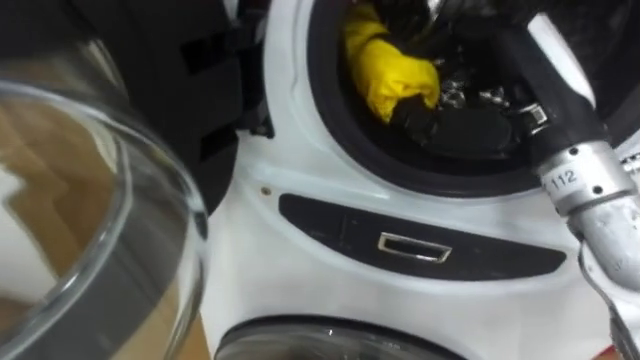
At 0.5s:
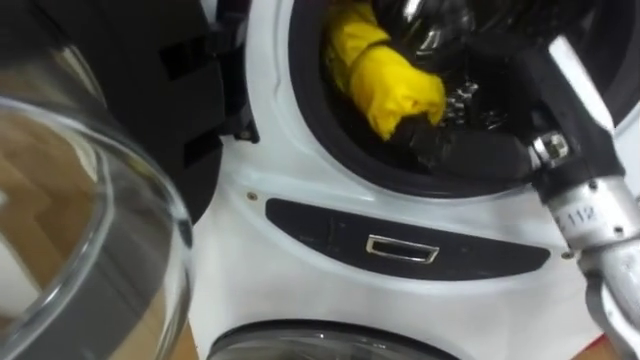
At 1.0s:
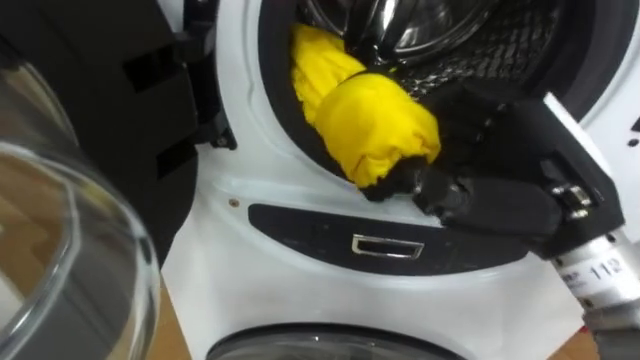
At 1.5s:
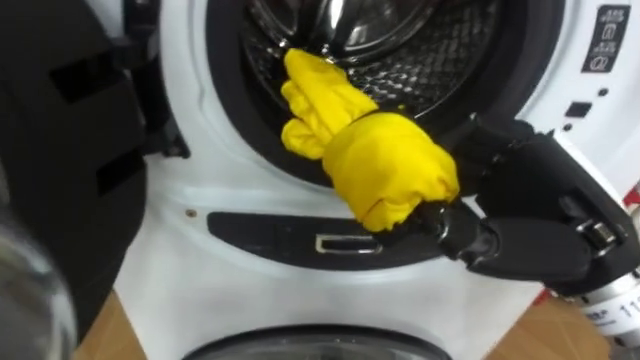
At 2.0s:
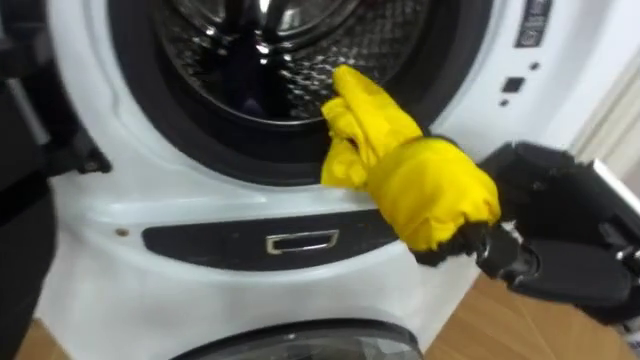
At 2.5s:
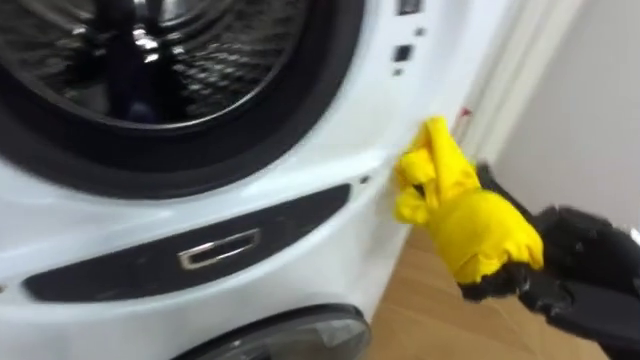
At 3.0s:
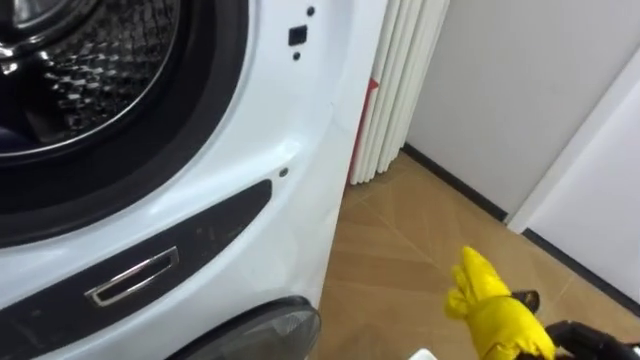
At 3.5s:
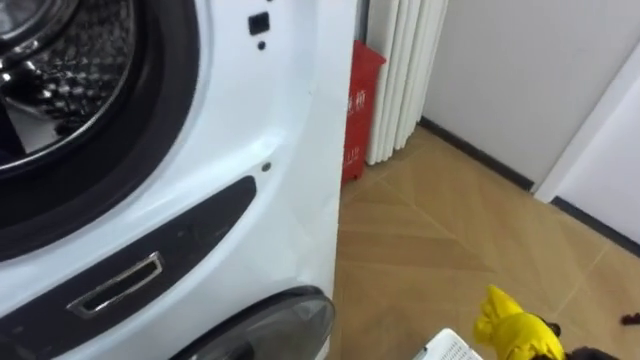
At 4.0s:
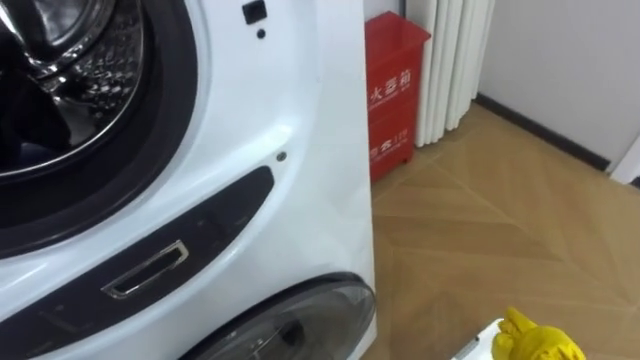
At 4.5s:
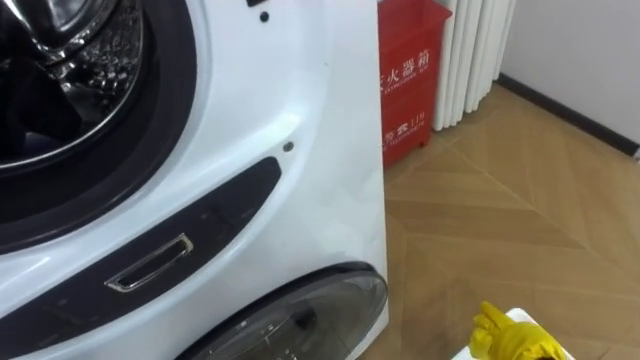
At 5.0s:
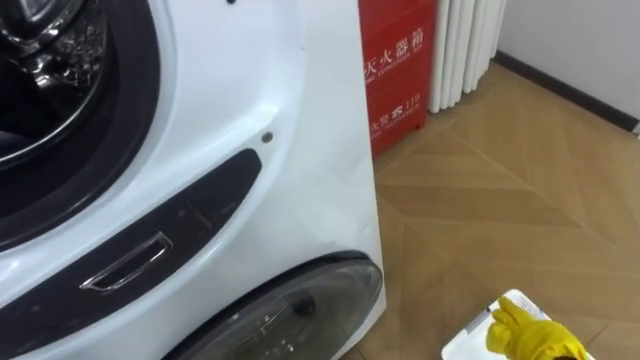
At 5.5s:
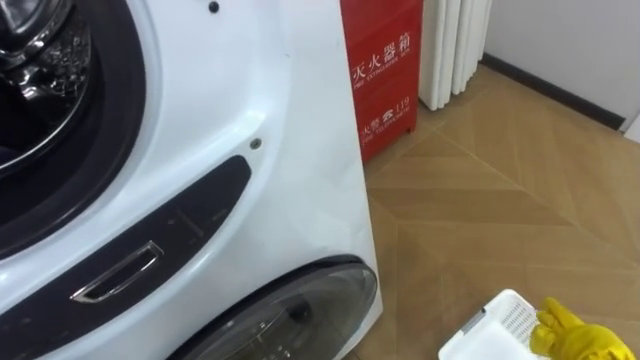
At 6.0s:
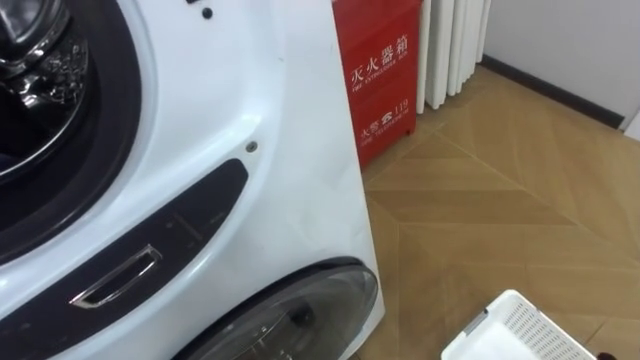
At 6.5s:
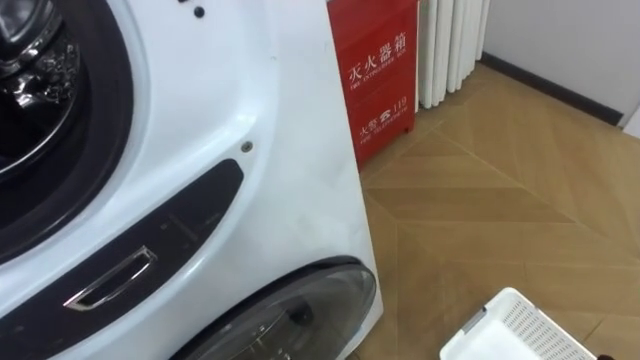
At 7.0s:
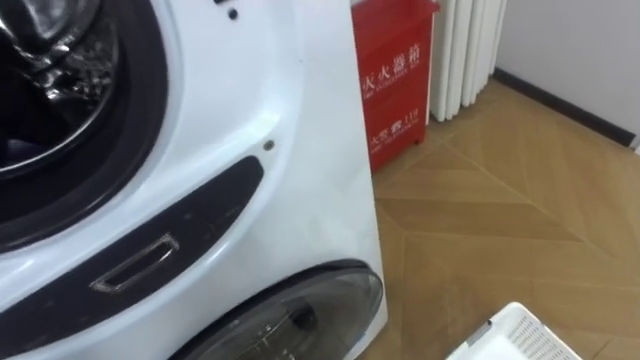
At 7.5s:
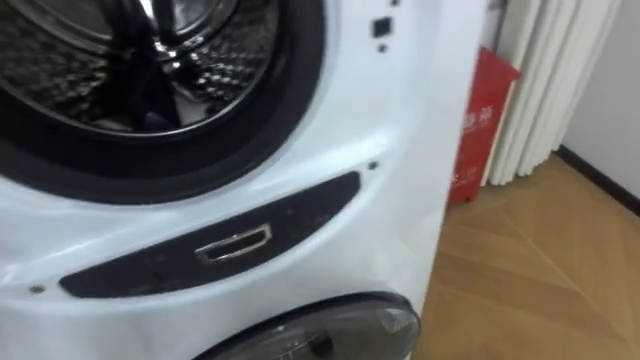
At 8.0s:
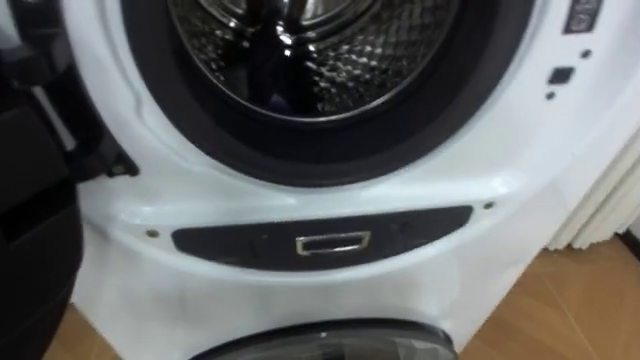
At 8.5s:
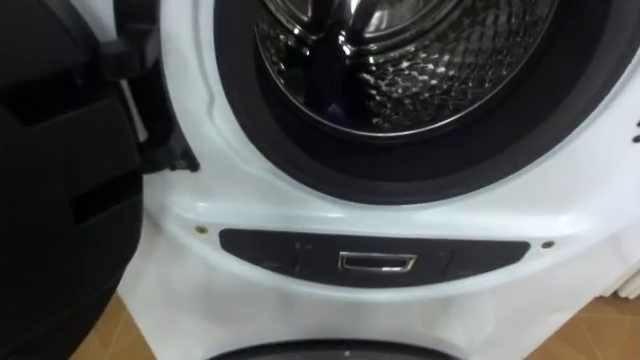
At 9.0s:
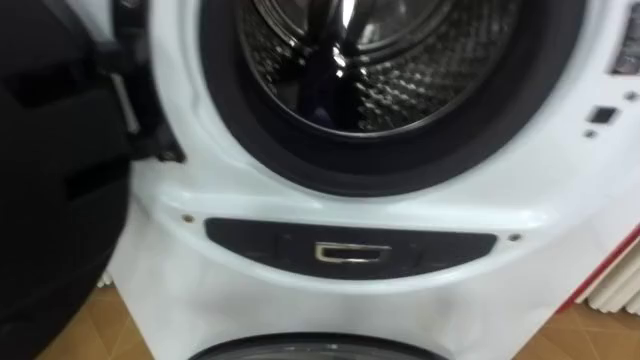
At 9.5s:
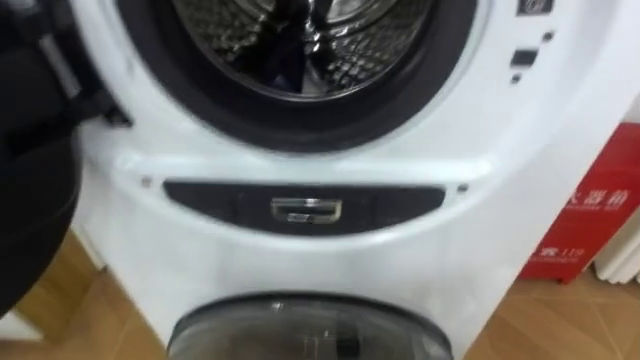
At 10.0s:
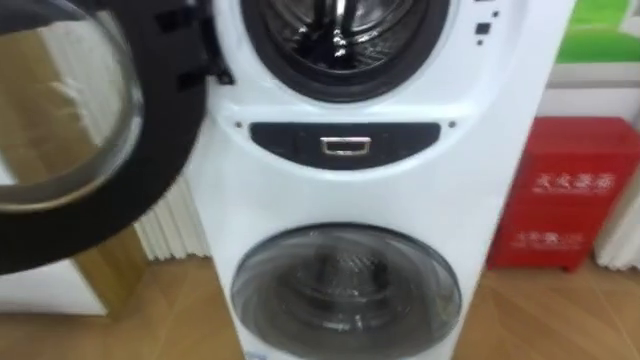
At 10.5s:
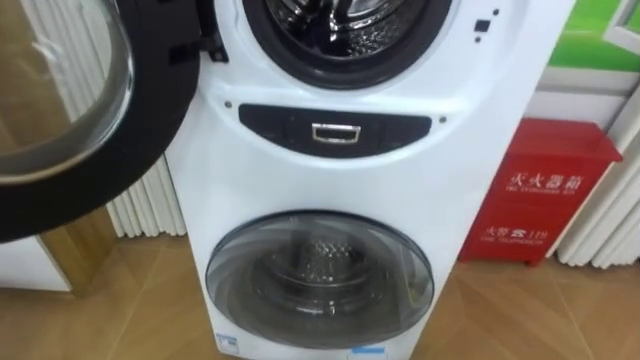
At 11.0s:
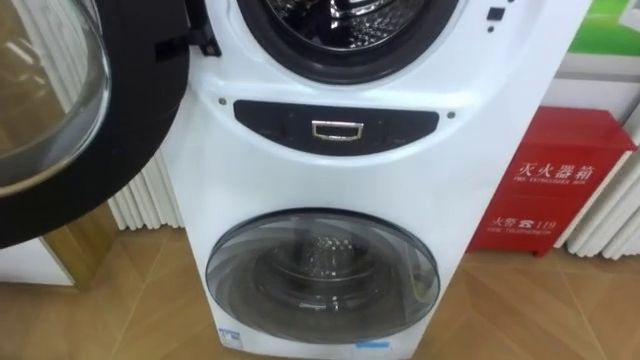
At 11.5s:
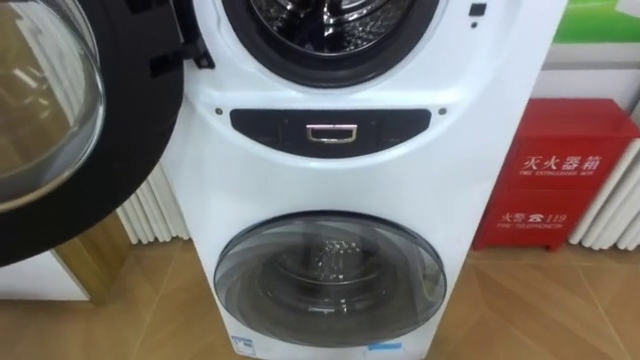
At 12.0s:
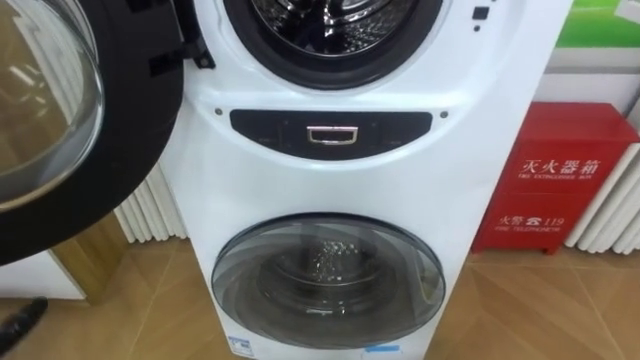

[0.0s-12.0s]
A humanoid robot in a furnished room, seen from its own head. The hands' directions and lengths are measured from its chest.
Task of the whole recording: Open the washing machine door, take out the yellow clothes, place them in the box on the right, and close the washing machine door.
0.0s to 2.0s: The right hand travels downward and backward by approximately 10 cm.

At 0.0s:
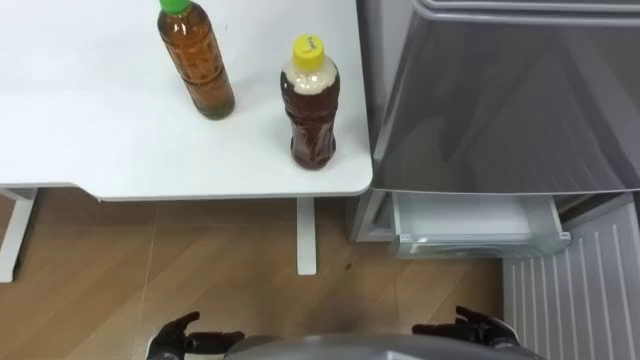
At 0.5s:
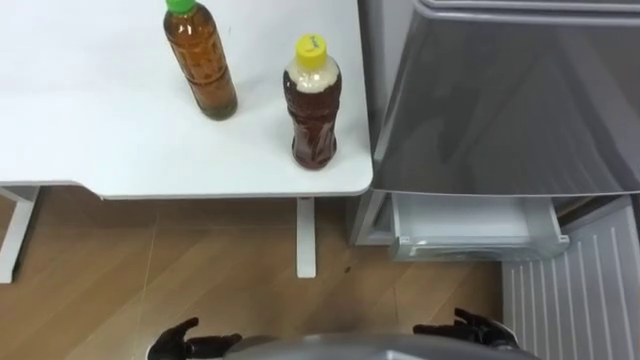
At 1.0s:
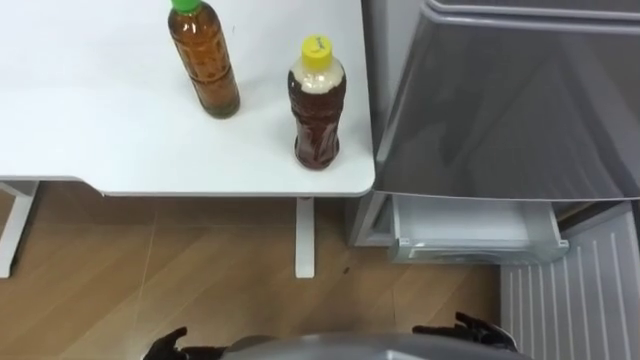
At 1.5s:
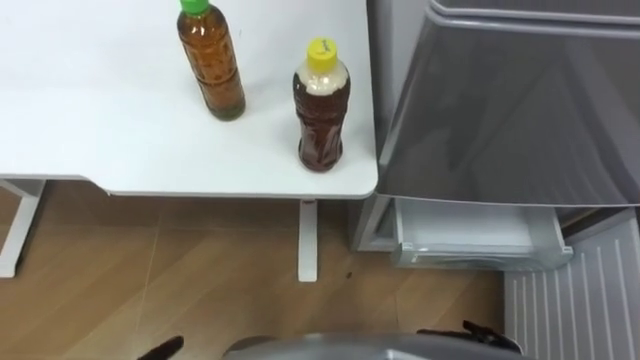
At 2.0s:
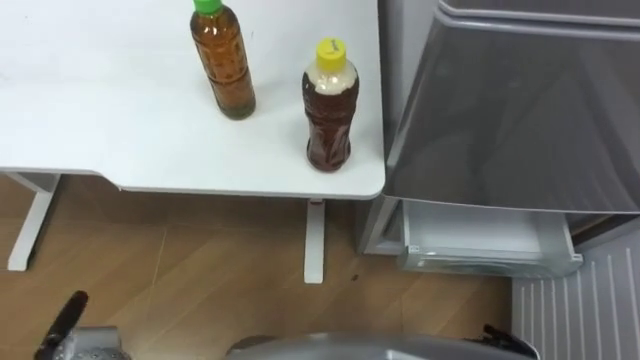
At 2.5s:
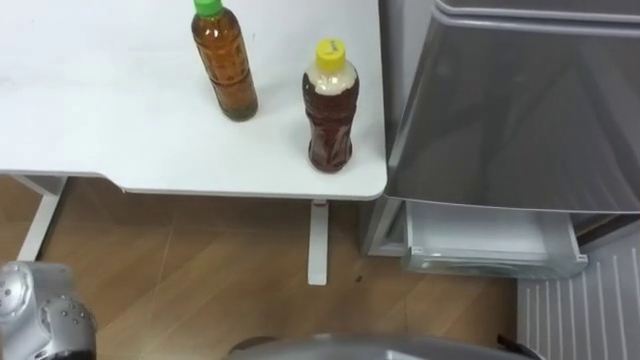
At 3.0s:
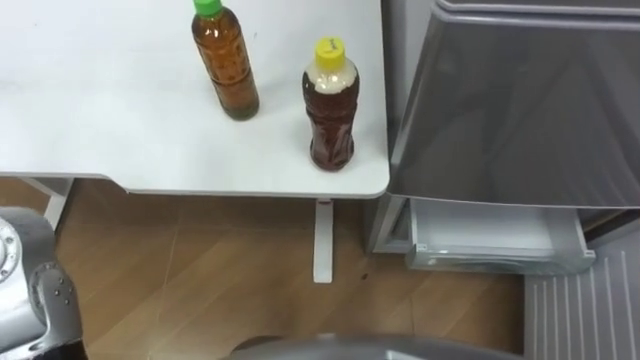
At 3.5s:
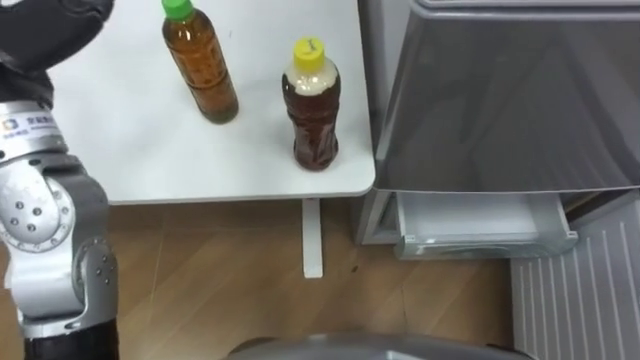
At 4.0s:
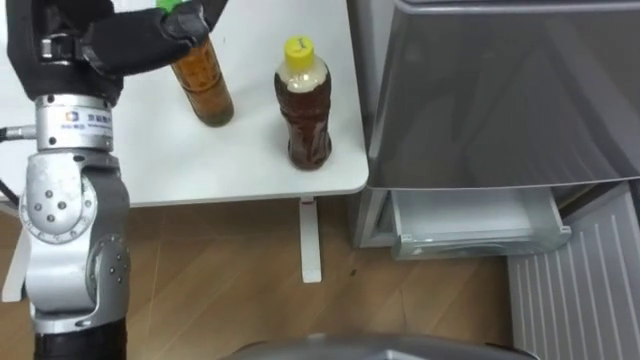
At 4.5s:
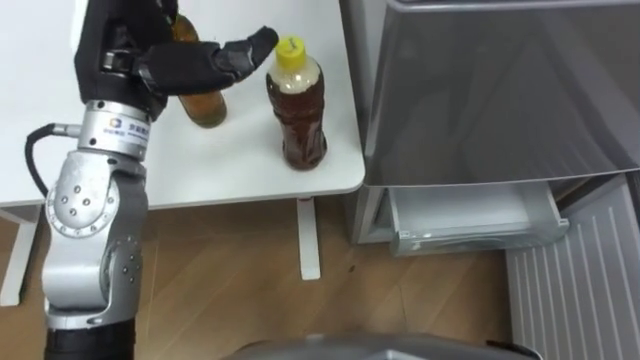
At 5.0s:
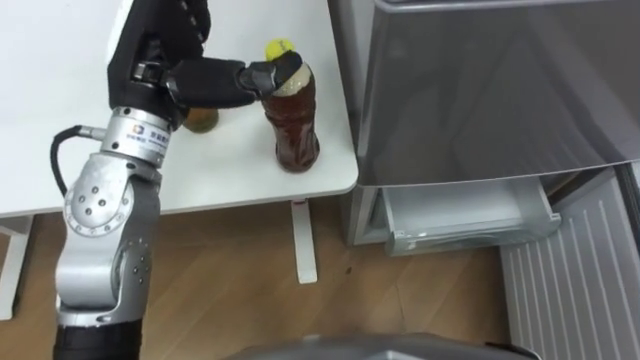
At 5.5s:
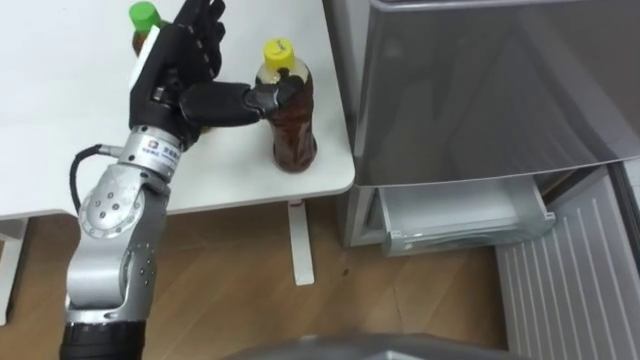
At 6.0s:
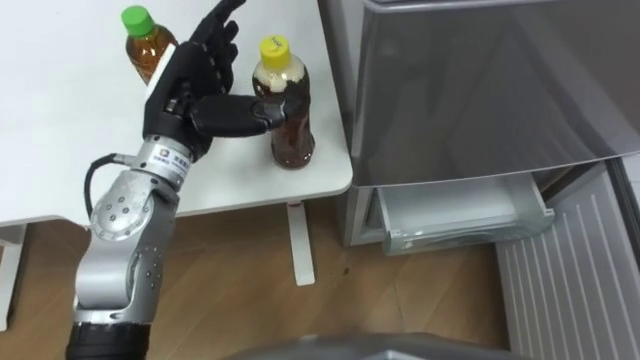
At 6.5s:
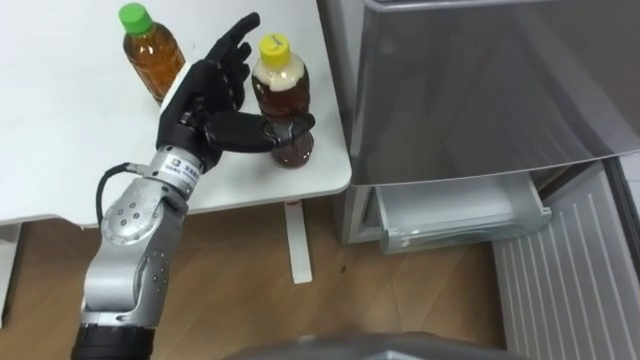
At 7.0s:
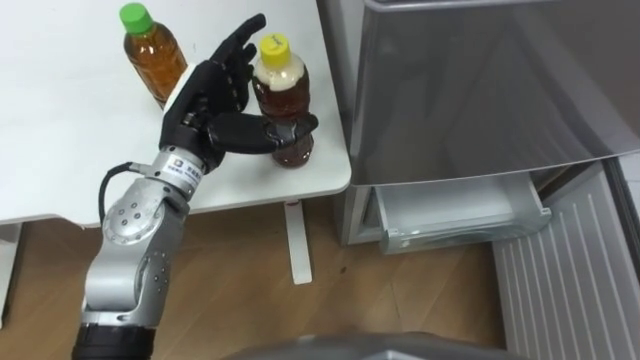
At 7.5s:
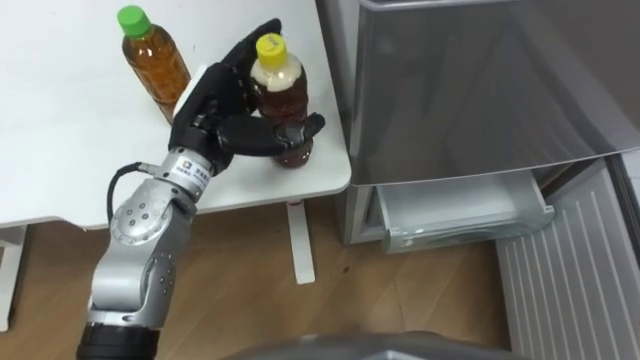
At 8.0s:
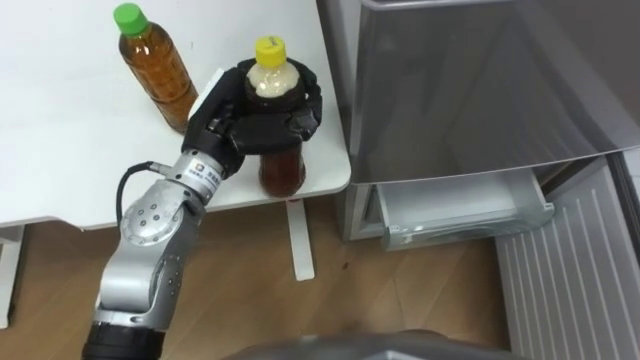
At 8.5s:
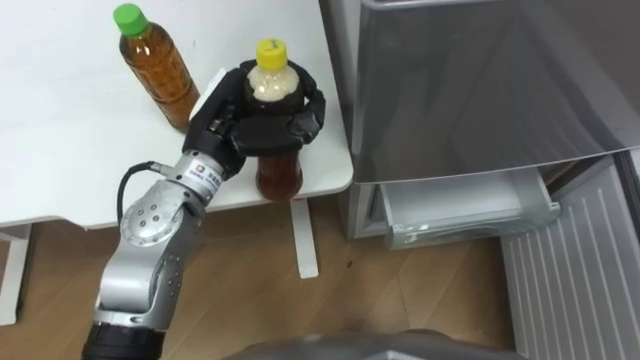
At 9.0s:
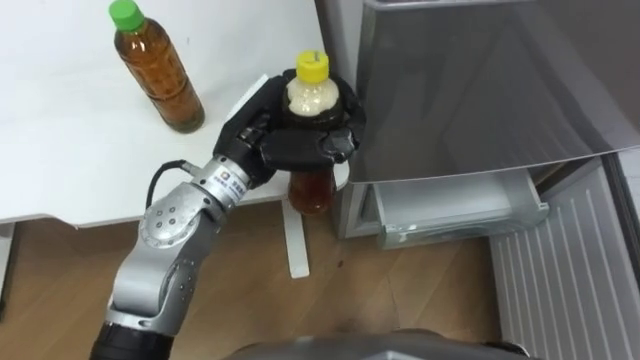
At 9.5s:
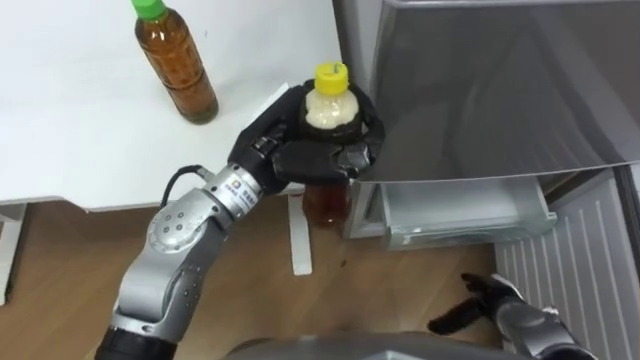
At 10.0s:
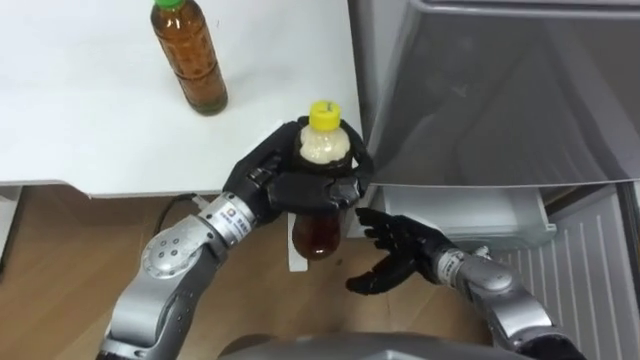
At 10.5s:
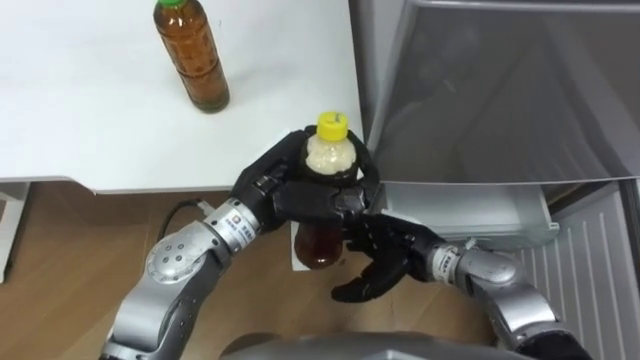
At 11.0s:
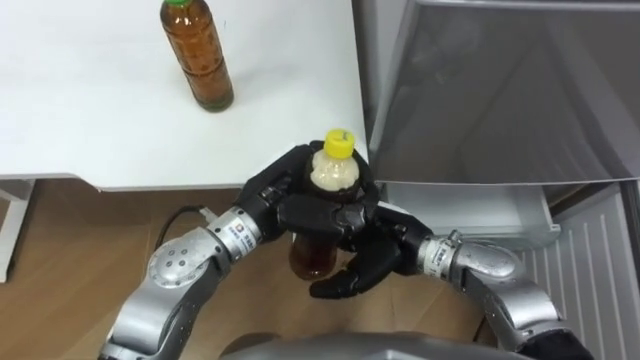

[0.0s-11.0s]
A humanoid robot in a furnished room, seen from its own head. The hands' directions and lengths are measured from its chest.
Task of the whole recording: Place the drink on the table on the bottom shelf of the refrigerator, then close the drawer and the refrigerator door.
5.5s to 7.5s: The left hand changes place by roughly 5 cm.
7.5s to 9.0s: The left hand is displaced to the right by roughly 5 cm, and closes.
9.0s to 11.0s: The left hand shifts by about 5 cm.
